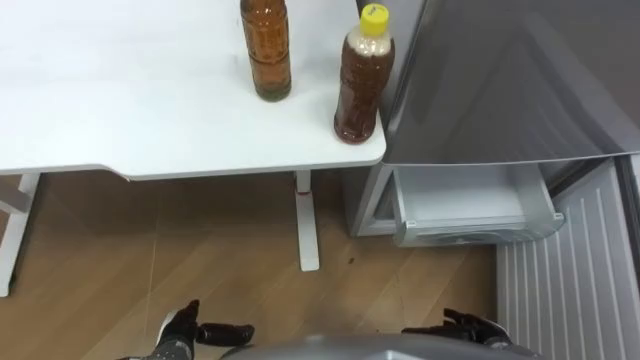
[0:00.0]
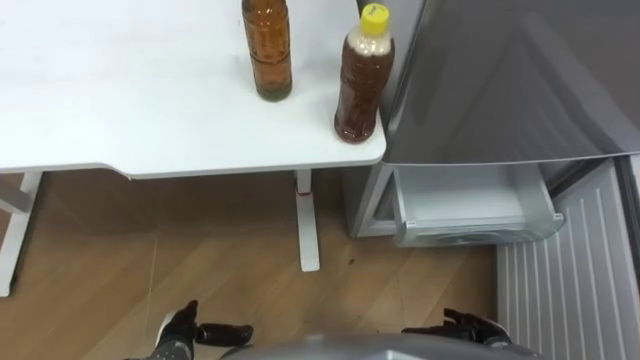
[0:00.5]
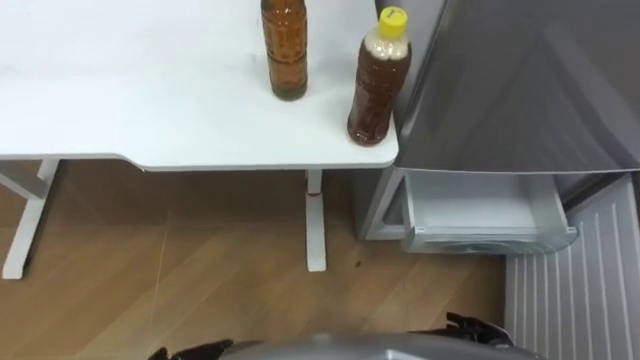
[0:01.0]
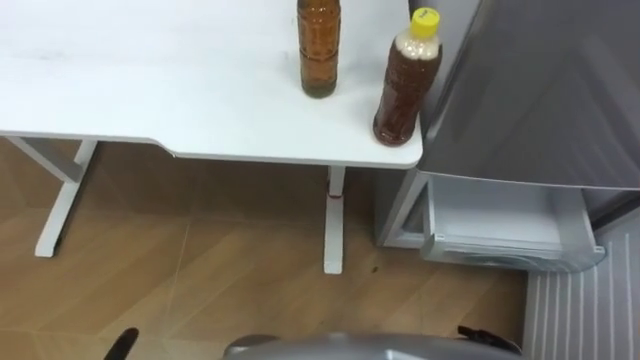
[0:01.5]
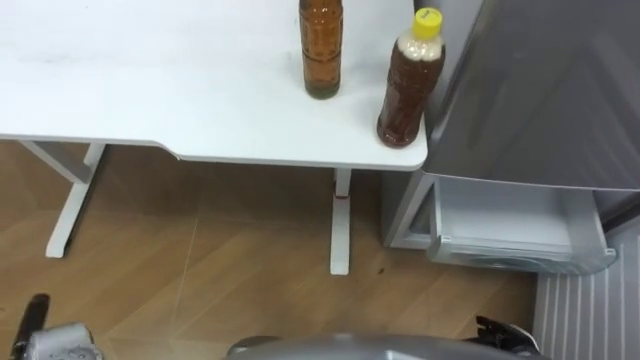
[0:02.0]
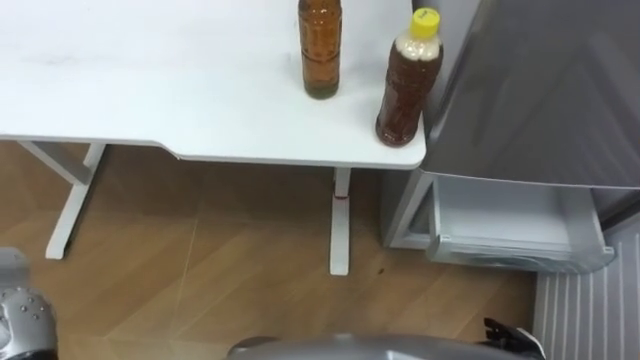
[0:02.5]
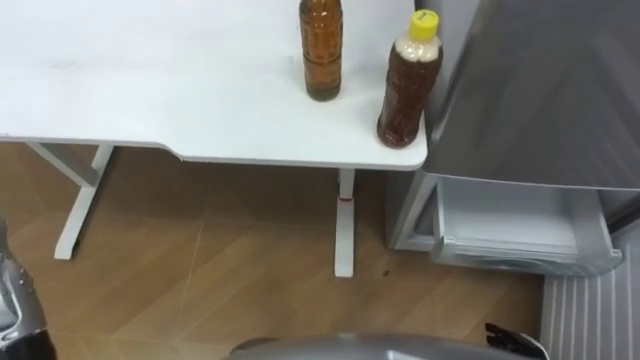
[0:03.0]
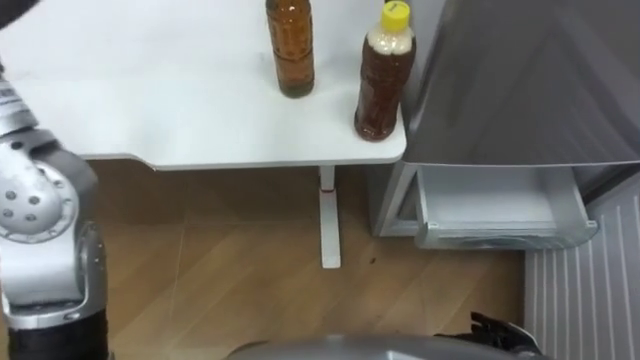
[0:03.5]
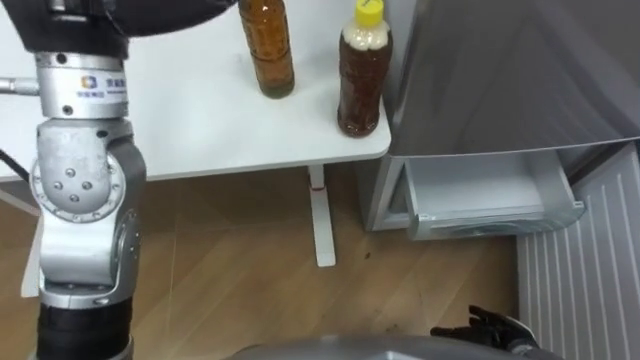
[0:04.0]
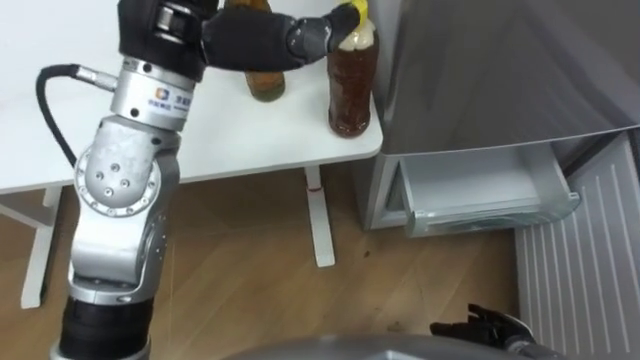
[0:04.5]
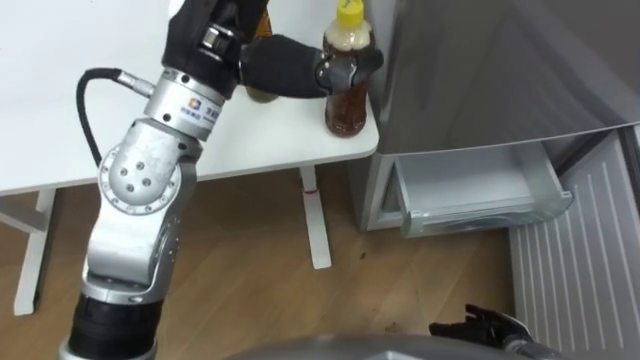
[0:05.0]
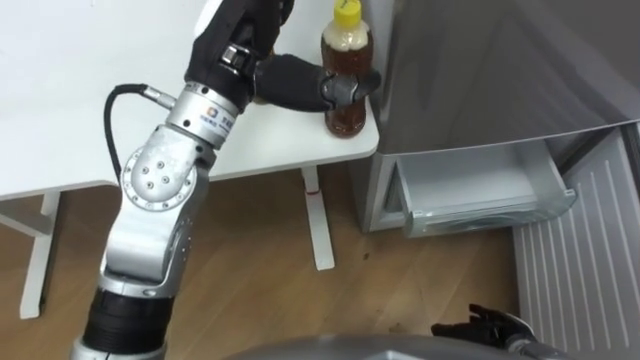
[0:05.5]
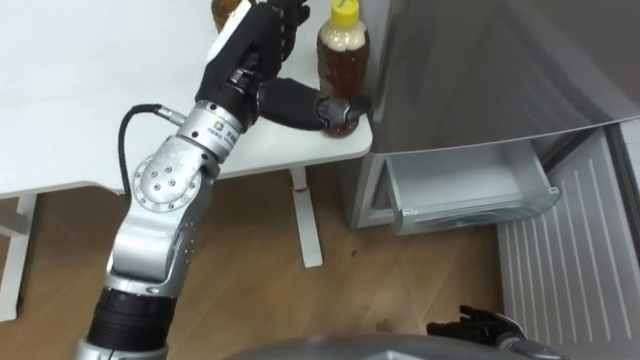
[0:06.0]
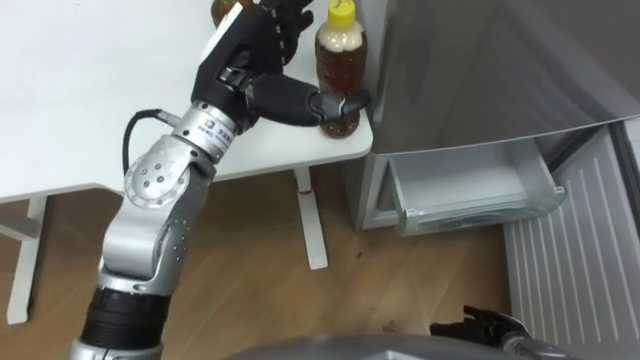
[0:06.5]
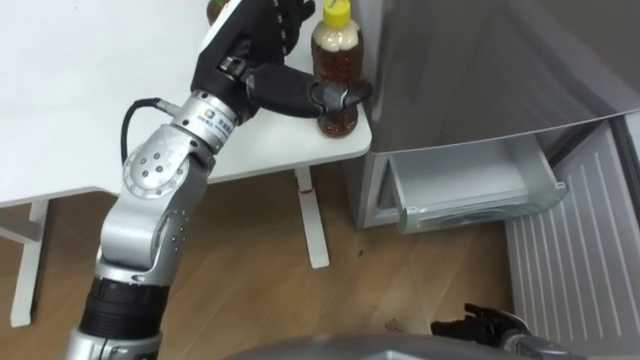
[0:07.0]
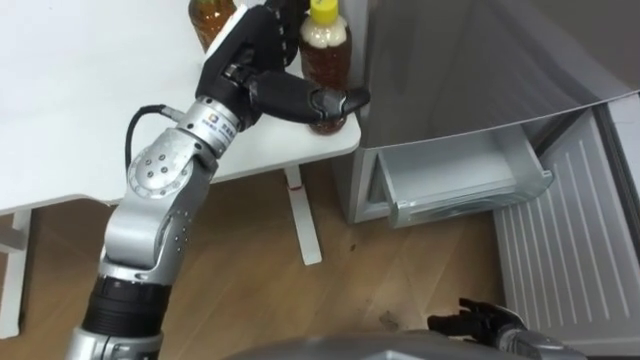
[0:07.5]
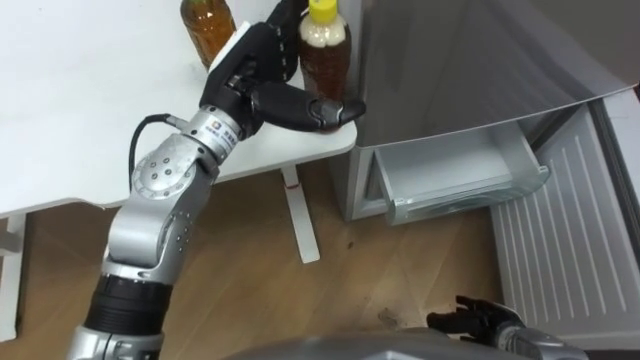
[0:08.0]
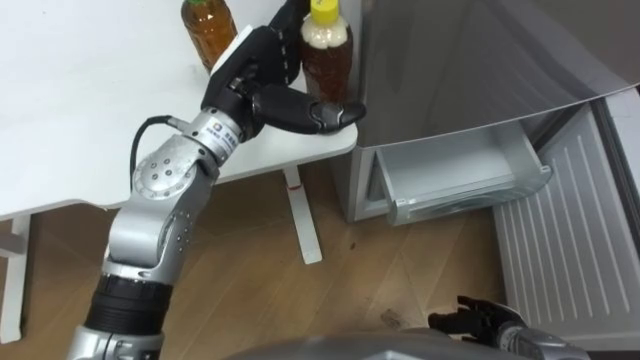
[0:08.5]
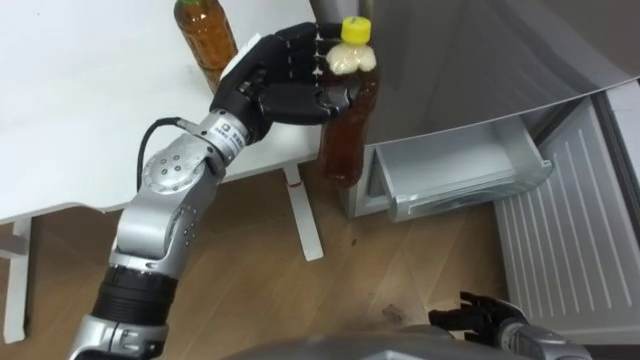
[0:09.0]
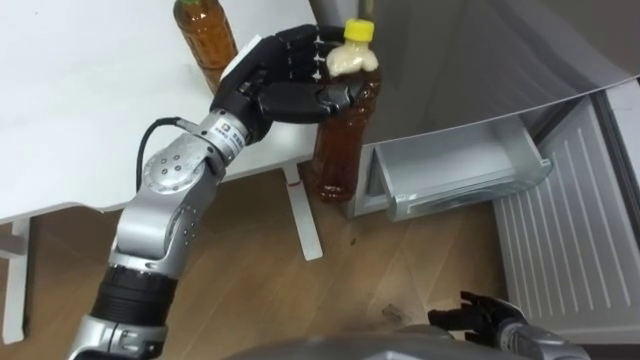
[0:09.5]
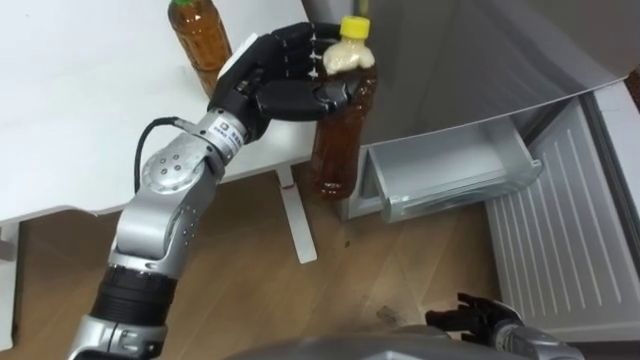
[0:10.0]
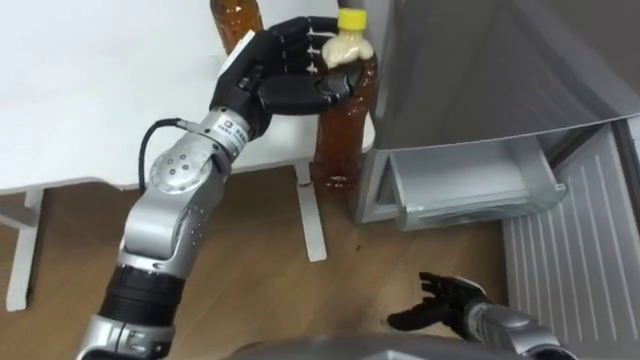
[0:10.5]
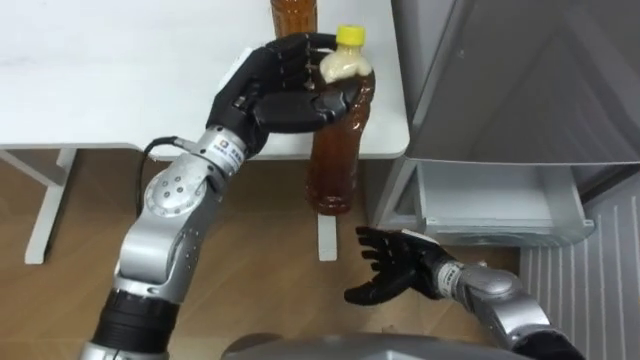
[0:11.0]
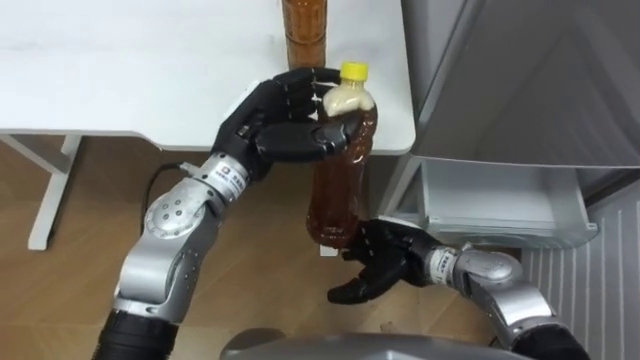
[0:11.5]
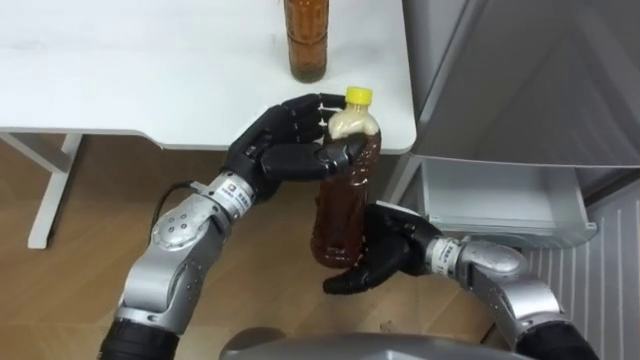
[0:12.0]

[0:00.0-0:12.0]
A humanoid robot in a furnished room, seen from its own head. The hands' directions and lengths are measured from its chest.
Task of the whole recording: Place the drink on the table on the bottom shelf of the refrigerator, then close the drawer and the refrigerator door.
0:04.0 to 0:06.0: The left hand heads downward and to the right, covering roughly 15 cm.
0:08.0 to 0:10.0: The left hand closes its fingers.
0:10.0 to 0:12.0: The left hand shifts about 5 cm downward; the right hand is displaced to the left, upward and forward by some 25 cm.

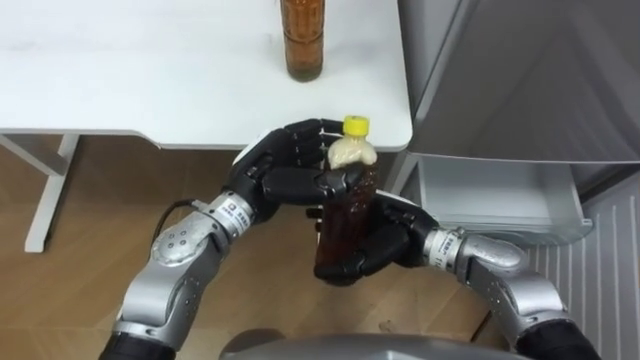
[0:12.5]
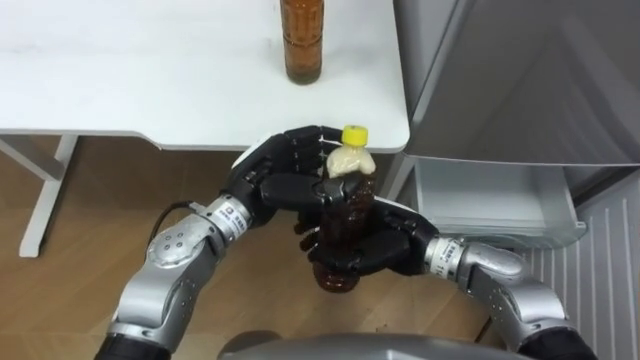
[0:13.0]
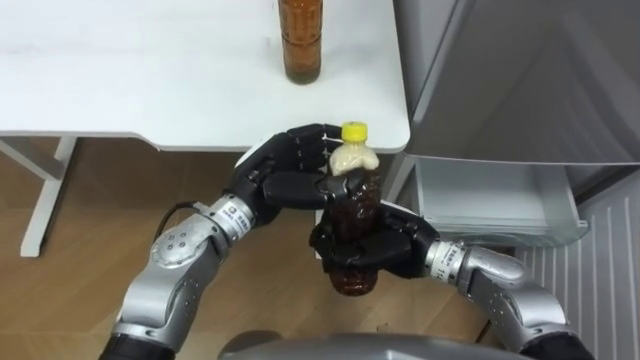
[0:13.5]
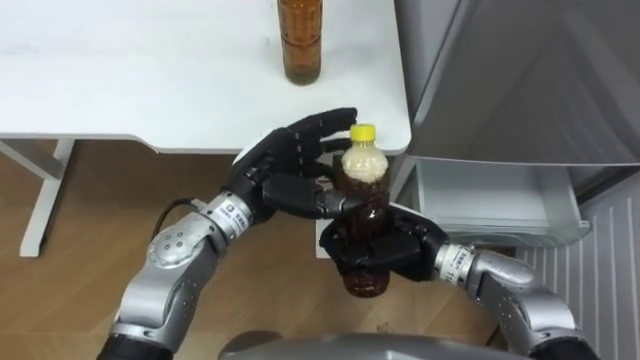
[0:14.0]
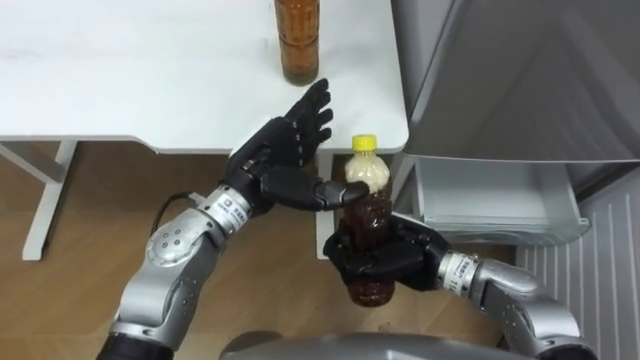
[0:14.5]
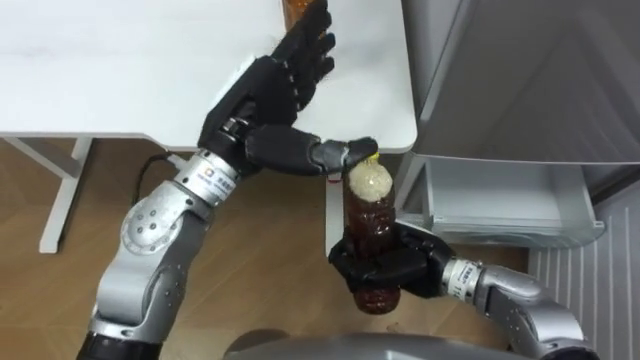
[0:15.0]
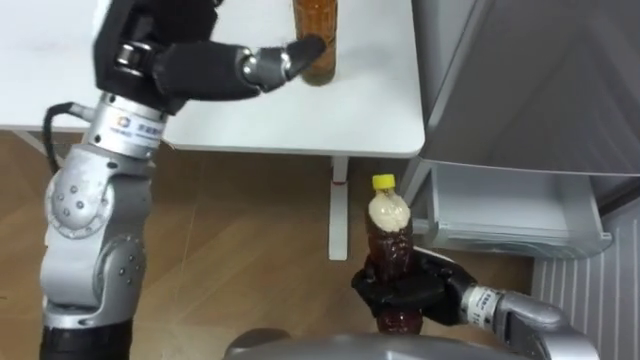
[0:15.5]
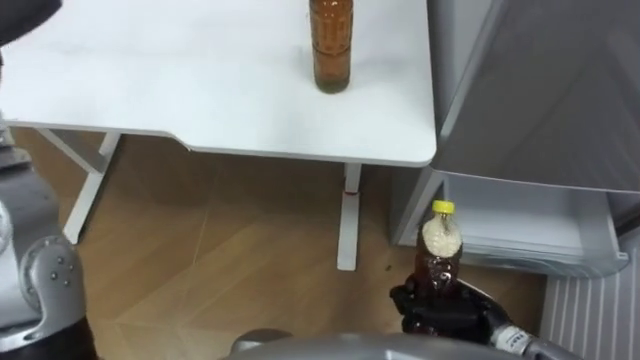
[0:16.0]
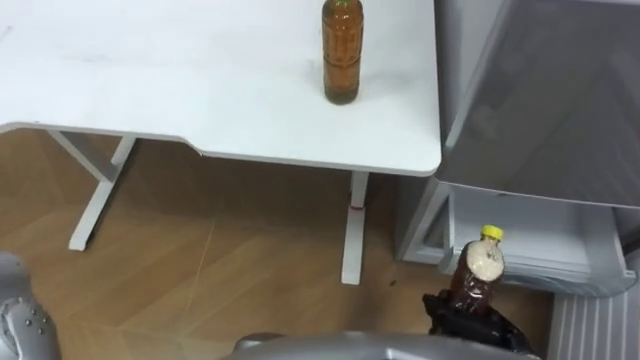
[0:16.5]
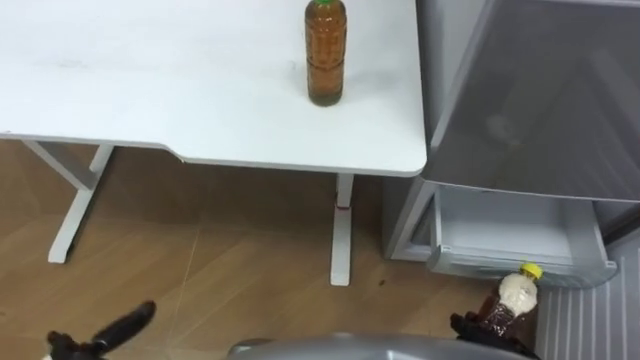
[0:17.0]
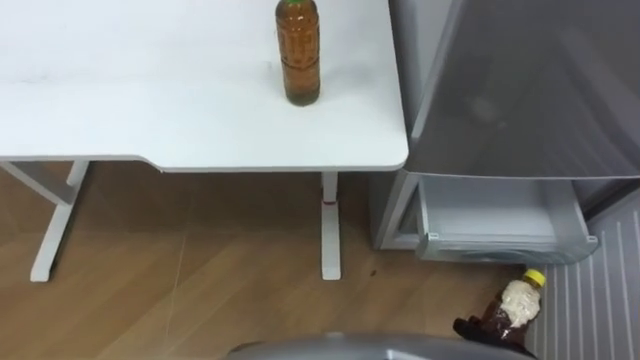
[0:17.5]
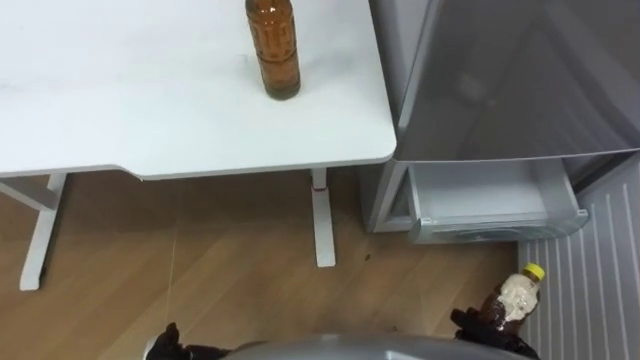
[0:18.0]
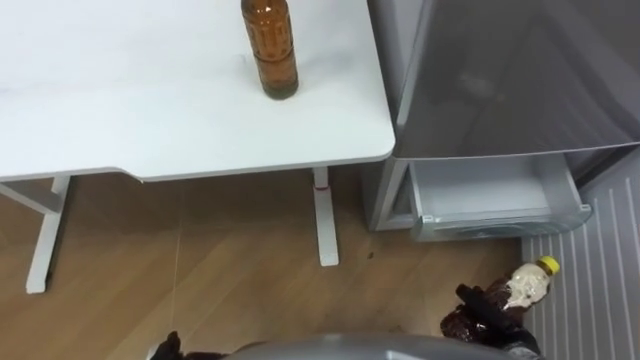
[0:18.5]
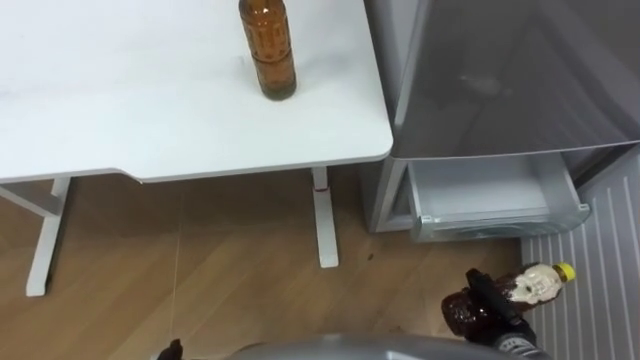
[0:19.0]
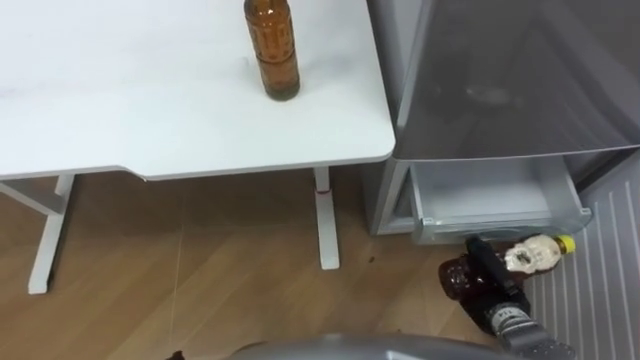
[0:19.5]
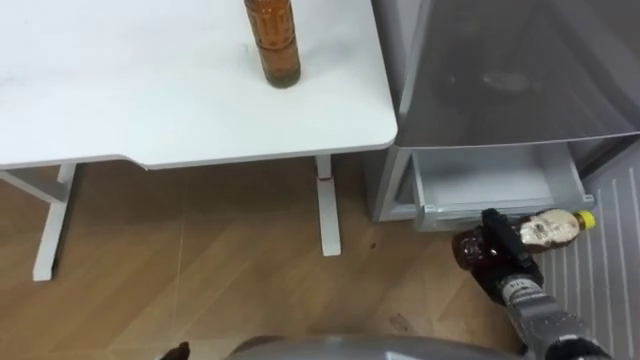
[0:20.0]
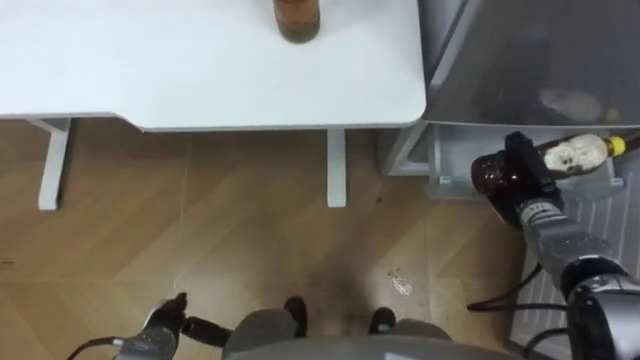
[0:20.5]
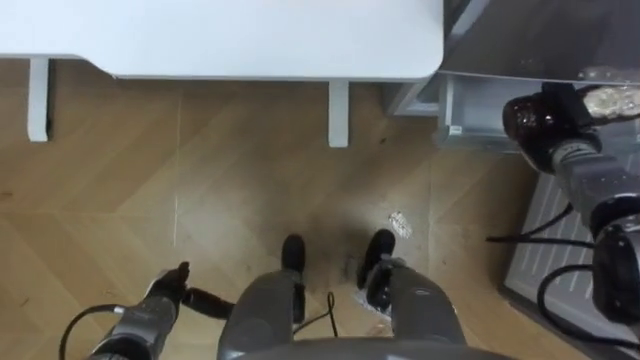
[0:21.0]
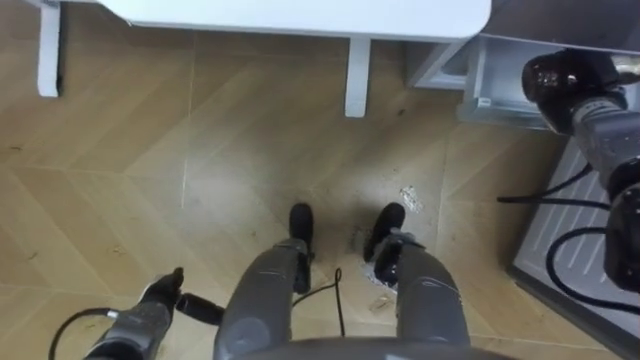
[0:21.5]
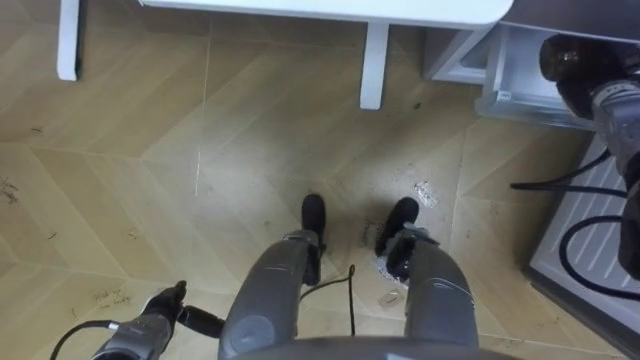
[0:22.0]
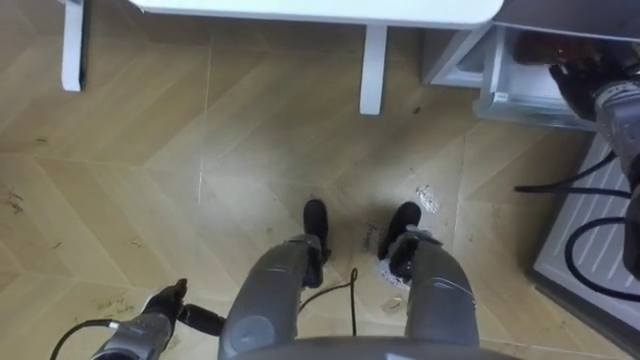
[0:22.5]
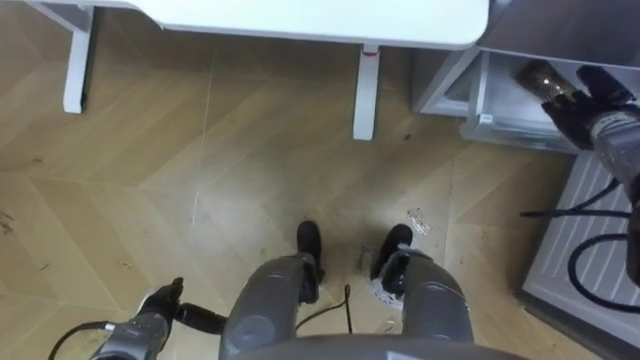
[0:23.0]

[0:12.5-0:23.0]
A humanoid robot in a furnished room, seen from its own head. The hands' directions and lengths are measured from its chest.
Task of the whole recording: Place the drink on the table on the bottom shelf of the refrigerator, then close the drawer and the refrigerator door.
0:12.5 to 0:14.5: The left hand opens its fingers. The right hand closes up.
0:14.5 to 0:16.5: The right hand shifts approximately 20 cm to the right, backward and downward.
0:19.0 to 0:21.0: The right hand heads forward and upward, covering approximately 30 cm.
0:21.0 to 0:23.0: The right hand is displaced upward by approximately 5 cm, and opens up.
